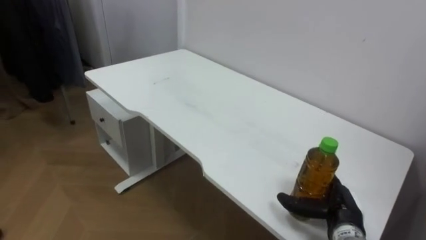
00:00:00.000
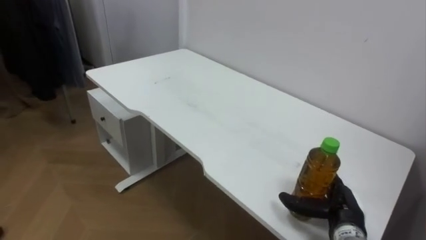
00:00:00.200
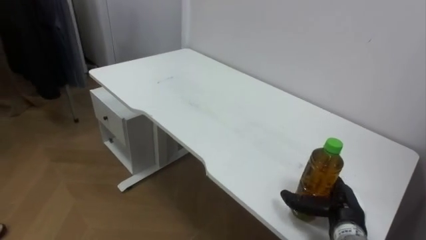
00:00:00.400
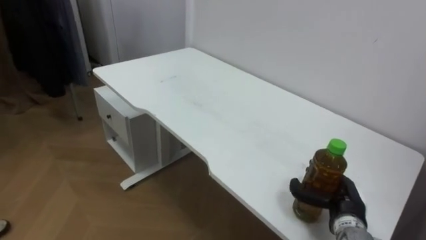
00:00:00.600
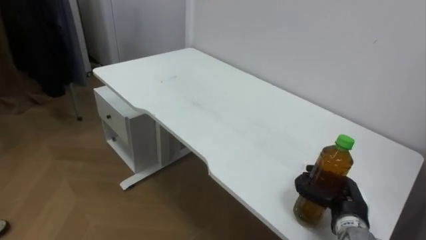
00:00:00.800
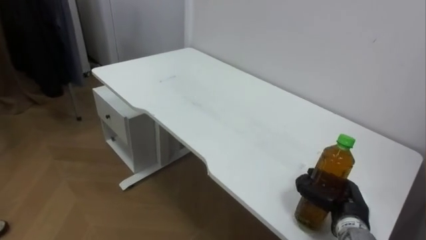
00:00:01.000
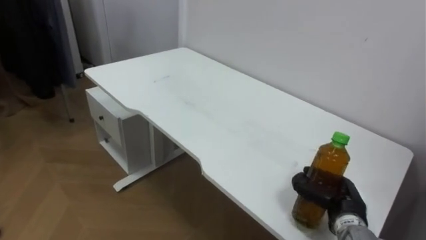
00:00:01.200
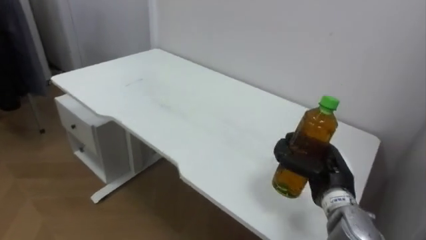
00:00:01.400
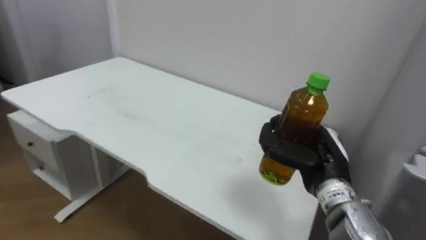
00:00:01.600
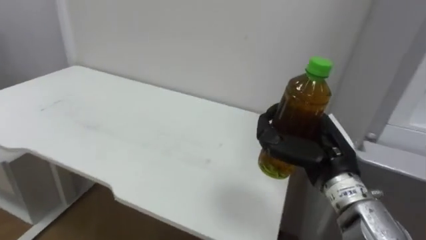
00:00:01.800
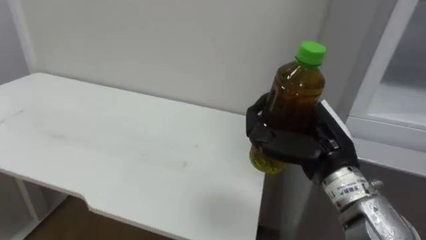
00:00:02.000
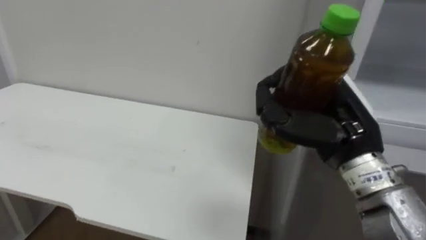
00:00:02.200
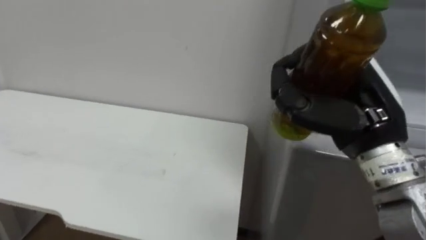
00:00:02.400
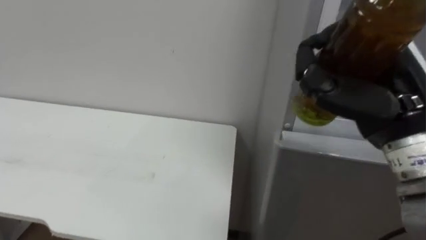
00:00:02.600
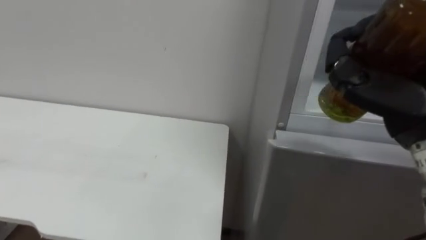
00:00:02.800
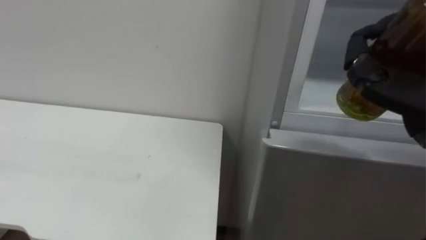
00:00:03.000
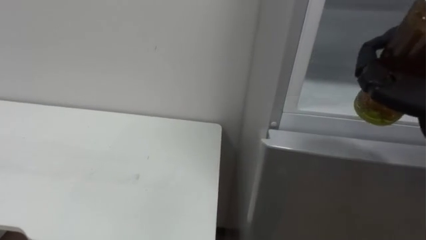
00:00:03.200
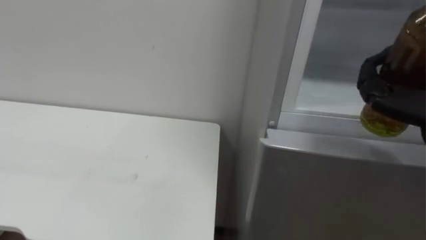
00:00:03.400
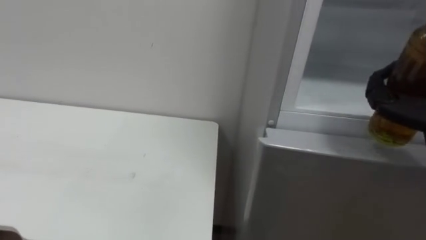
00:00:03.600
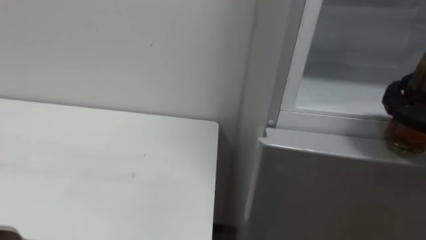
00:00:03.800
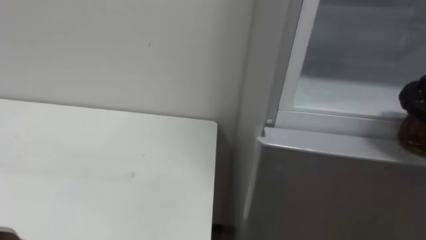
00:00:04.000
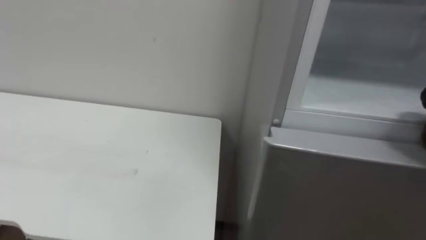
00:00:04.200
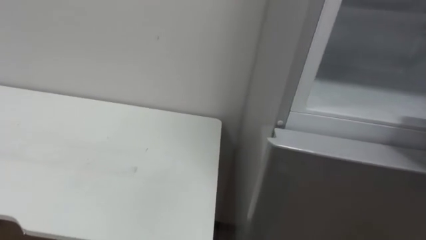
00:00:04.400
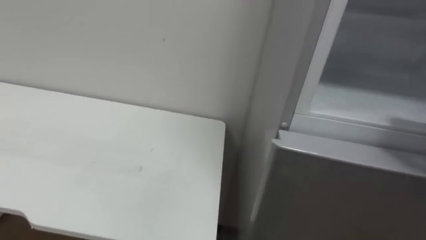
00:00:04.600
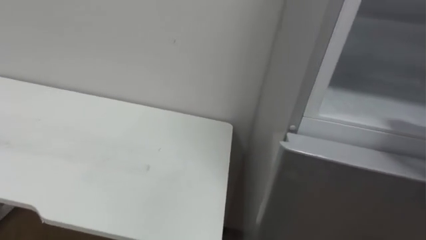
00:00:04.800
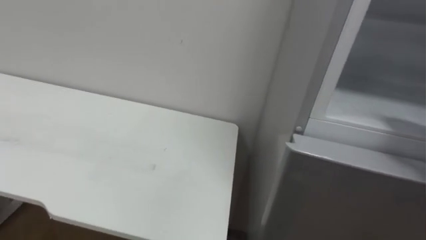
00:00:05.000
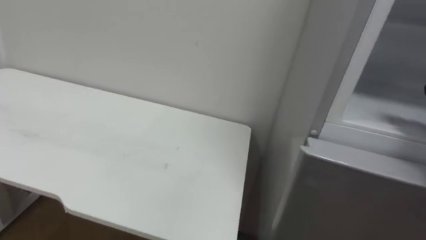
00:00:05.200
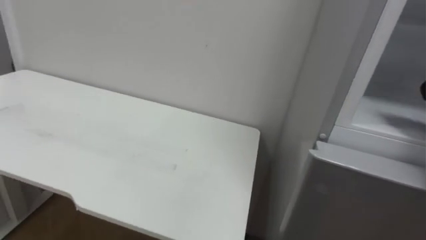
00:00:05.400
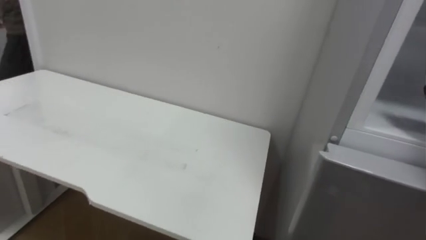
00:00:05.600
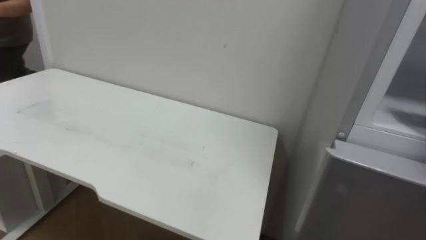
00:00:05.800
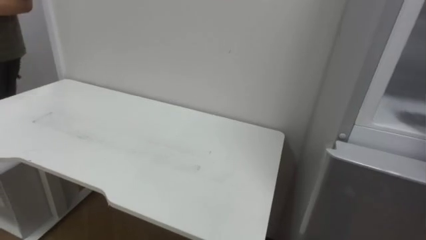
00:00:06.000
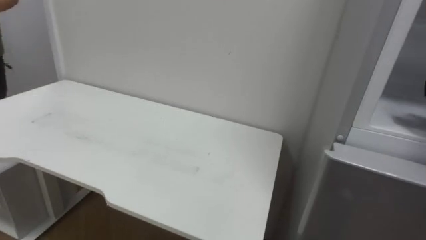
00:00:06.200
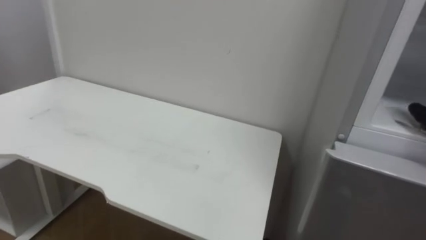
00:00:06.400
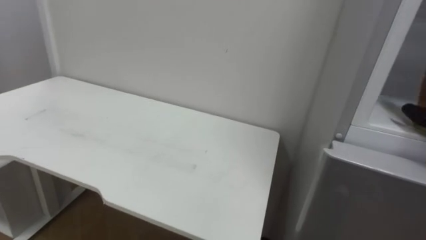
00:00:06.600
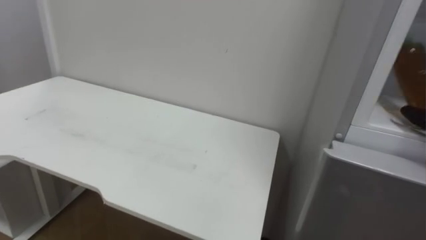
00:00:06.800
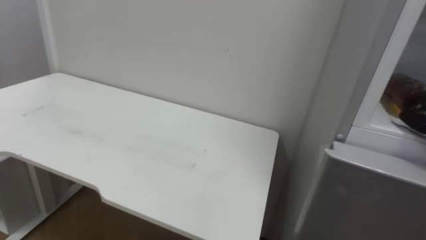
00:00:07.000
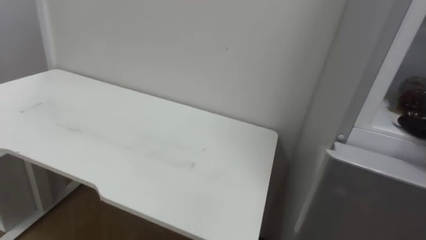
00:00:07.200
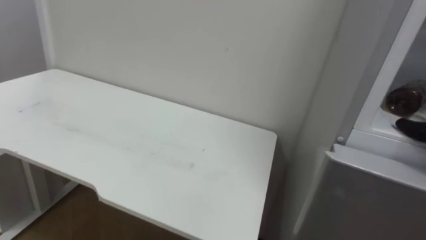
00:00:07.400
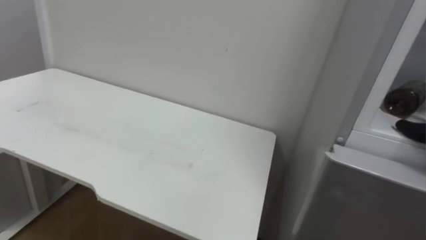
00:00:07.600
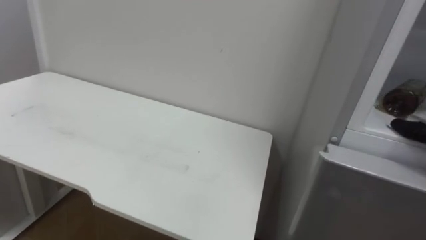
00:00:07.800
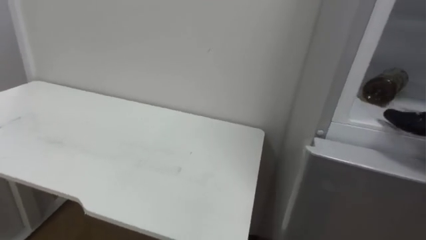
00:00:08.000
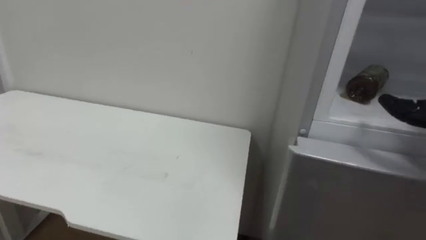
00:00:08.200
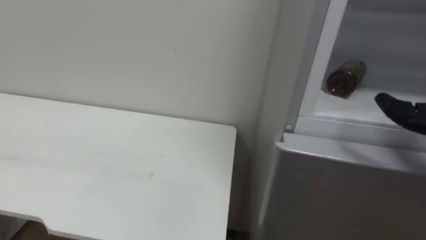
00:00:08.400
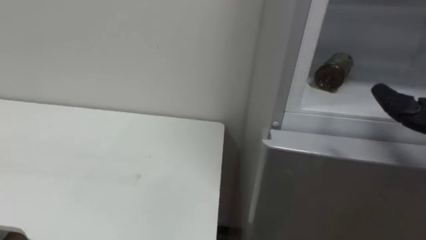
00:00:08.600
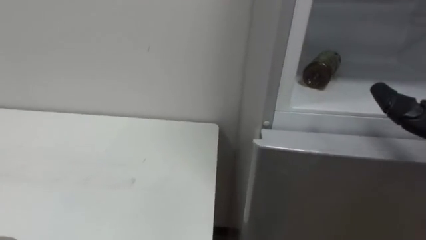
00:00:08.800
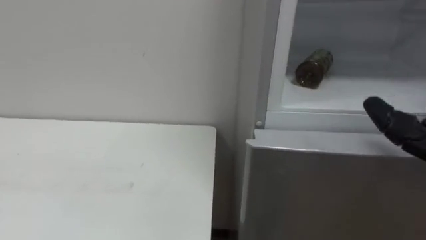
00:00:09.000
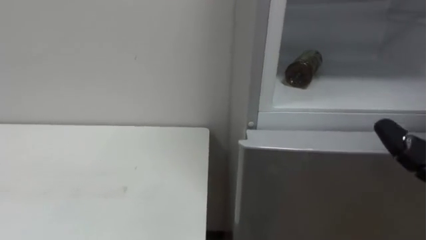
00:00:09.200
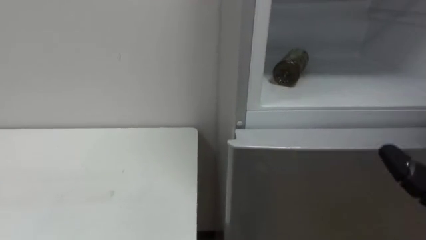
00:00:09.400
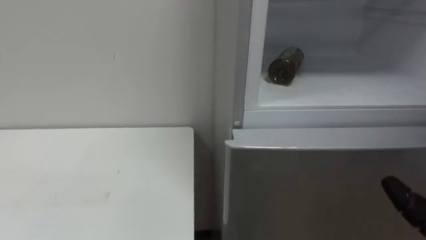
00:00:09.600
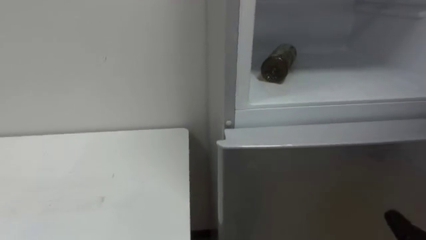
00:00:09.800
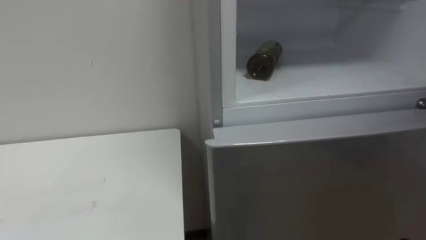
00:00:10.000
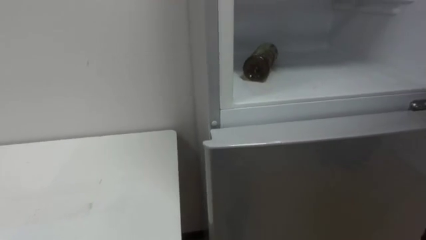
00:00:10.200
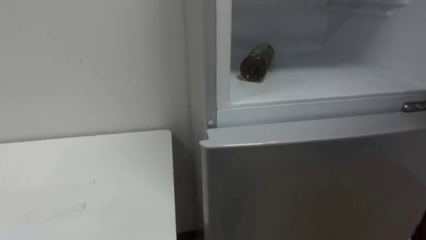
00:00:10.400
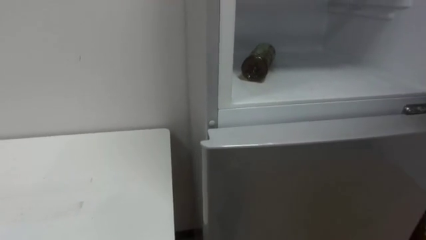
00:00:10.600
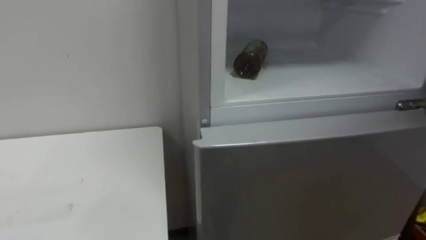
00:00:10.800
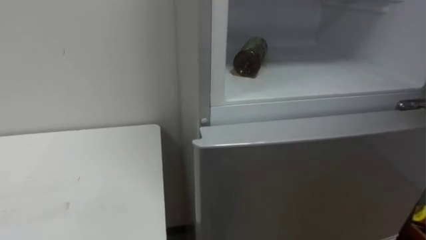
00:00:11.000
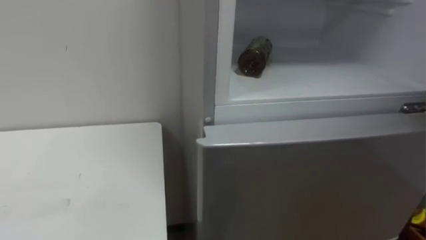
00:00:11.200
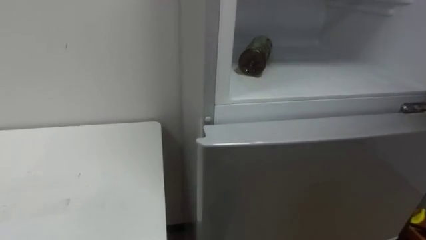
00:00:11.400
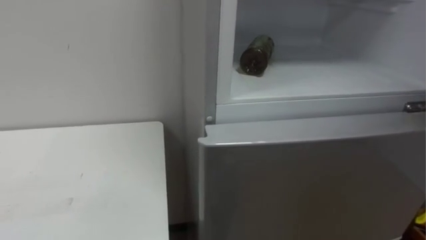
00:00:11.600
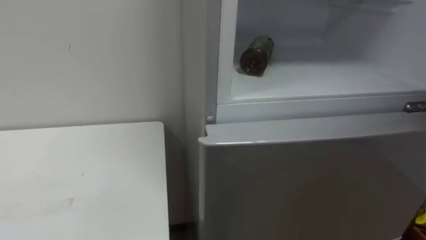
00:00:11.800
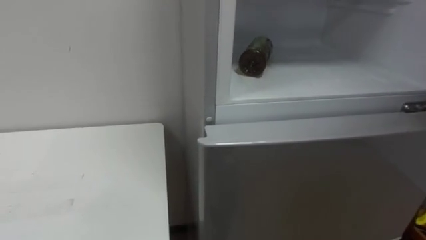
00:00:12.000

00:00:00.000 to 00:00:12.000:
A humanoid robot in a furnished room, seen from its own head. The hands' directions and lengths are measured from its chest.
Task of the whole recording: Open the upper refrigerator door, put the drink from the table into the refrigerator, and then close the refrigerator door.
00:00:00.000 to 00:00:01.600: The right hand goes some 15 cm upward and to the left, and closes up.

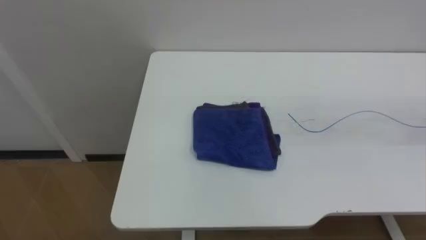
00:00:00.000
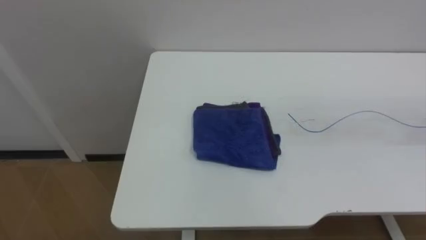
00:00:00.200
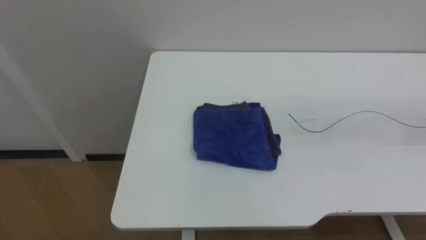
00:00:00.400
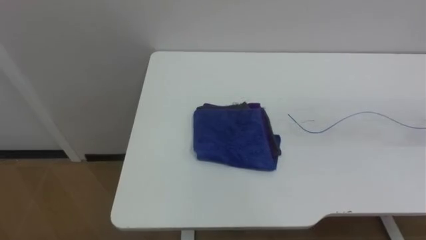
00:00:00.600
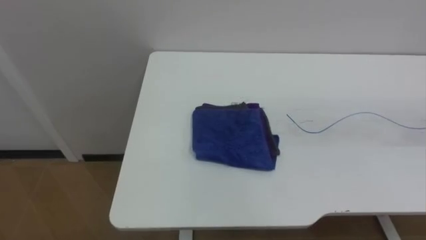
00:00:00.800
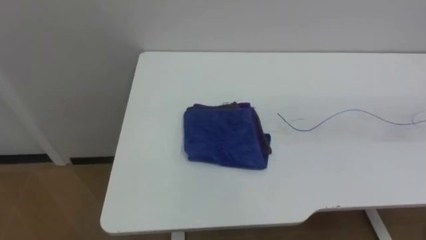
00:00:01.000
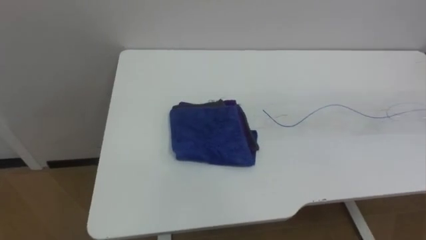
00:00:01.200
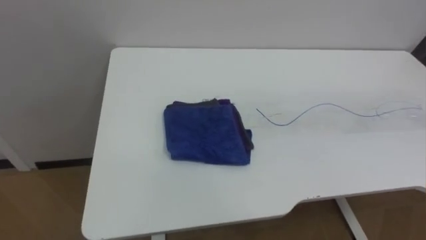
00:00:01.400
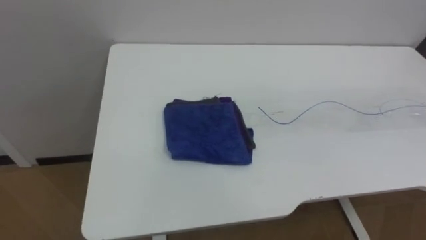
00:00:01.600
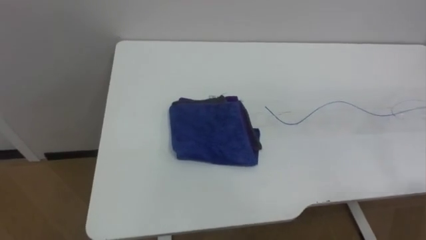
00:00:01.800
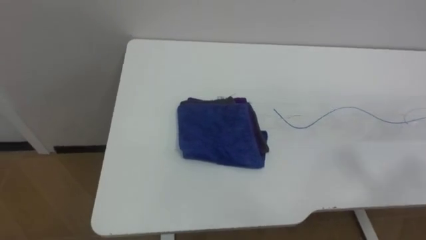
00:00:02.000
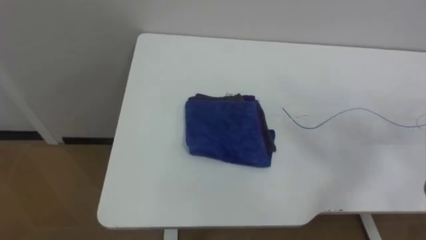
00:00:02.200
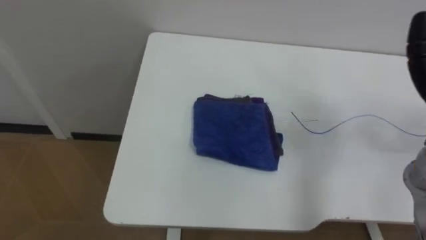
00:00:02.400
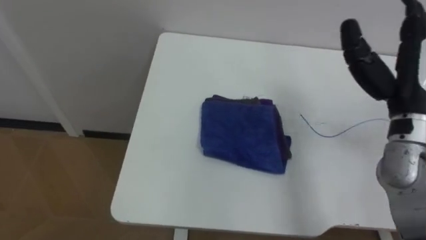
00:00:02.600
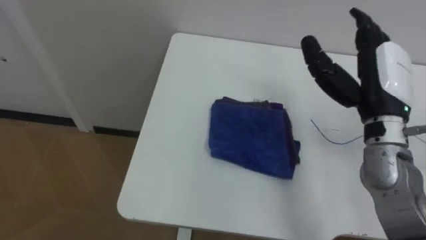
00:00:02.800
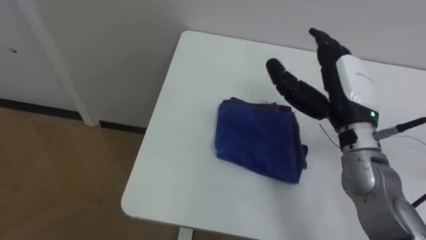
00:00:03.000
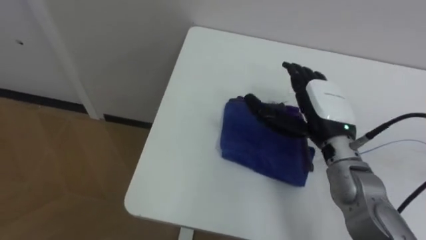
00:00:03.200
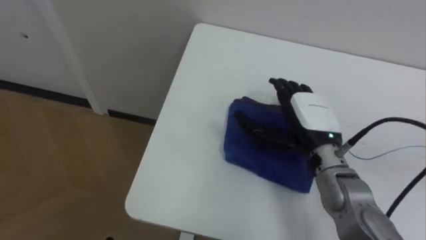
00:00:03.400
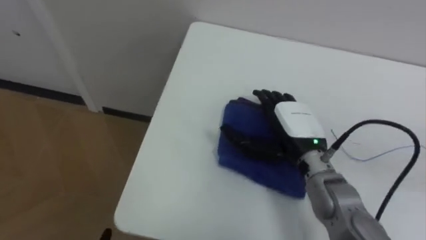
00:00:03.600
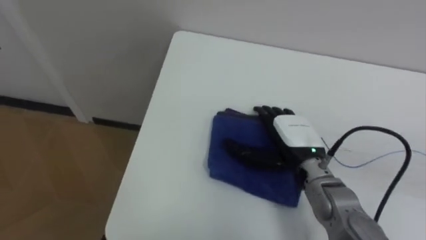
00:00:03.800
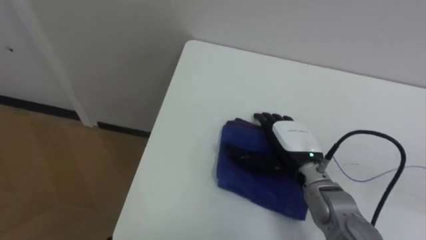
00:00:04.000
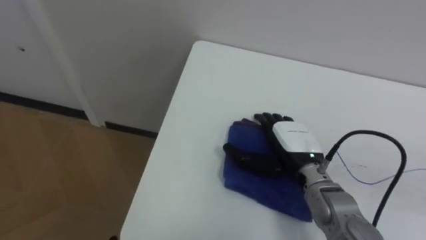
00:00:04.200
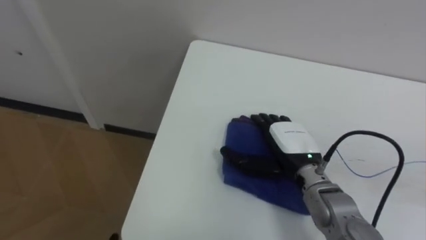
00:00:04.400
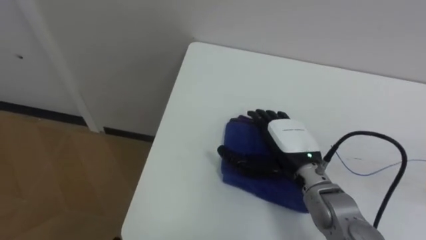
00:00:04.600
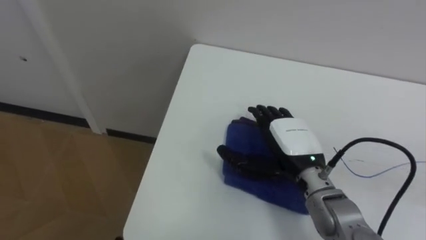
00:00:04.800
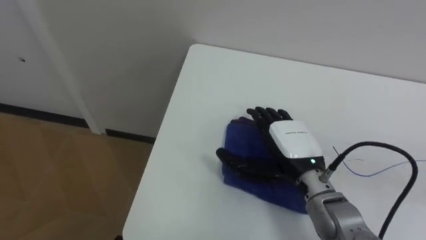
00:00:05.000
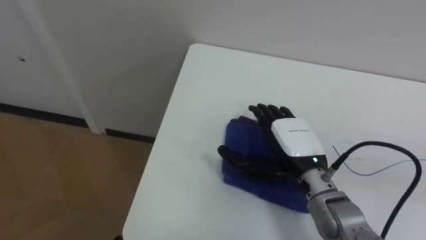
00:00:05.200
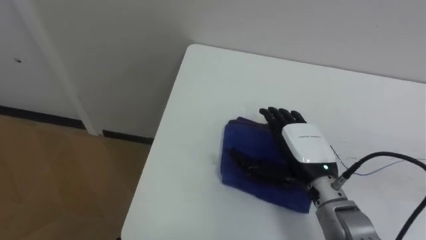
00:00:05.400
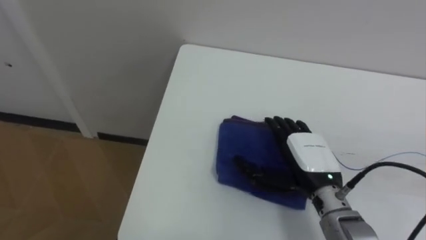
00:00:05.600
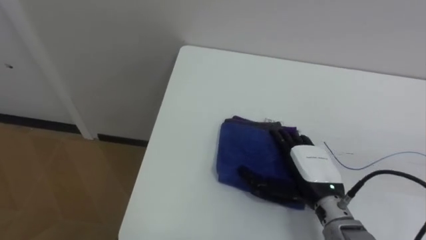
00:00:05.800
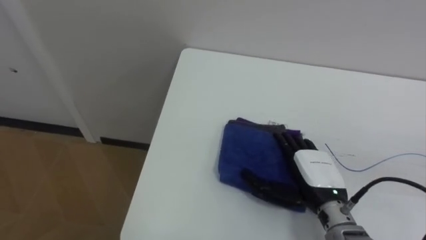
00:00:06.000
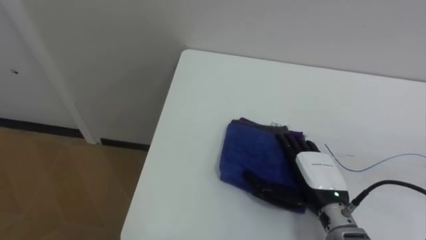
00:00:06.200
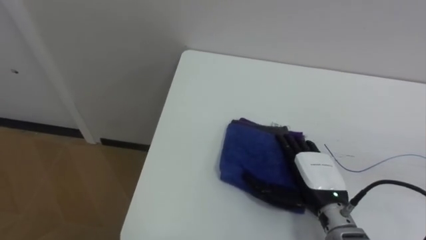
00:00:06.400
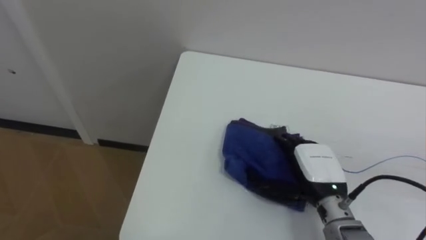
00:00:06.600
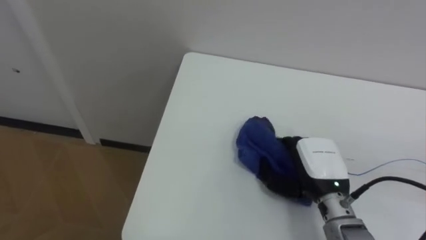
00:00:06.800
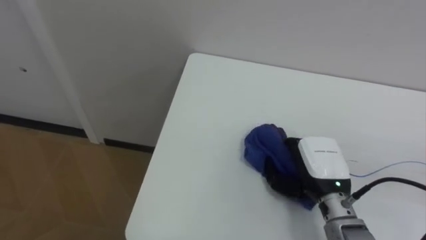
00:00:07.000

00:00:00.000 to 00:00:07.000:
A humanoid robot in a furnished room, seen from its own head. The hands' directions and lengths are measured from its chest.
Task of the whole recording: Wipe the blue pen marks off the table with the rag.
00:00:02.800 to 00:00:04.200: The right hand is displaced downward and to the left by roughly 20 cm.
00:00:05.600 to 00:00:07.000: The right hand closes up.
